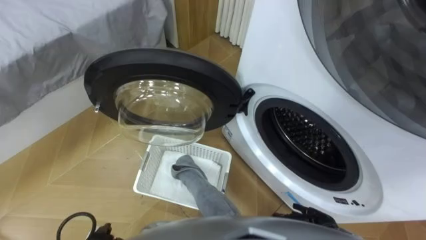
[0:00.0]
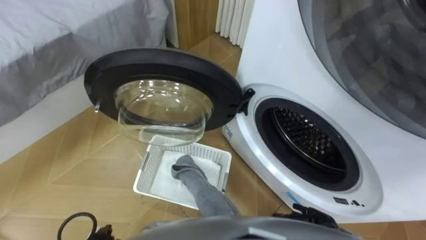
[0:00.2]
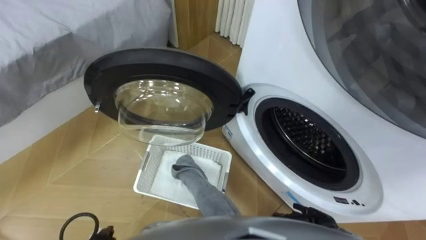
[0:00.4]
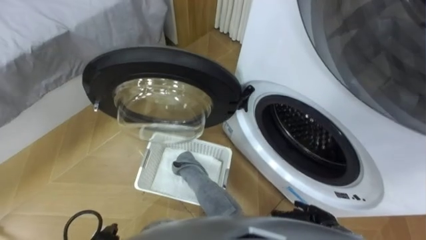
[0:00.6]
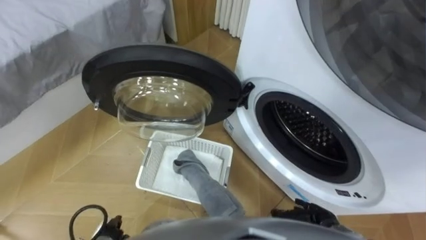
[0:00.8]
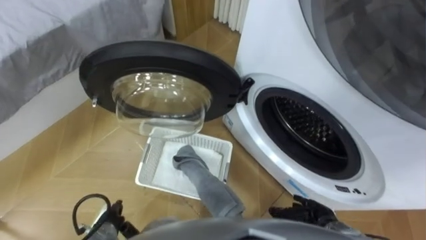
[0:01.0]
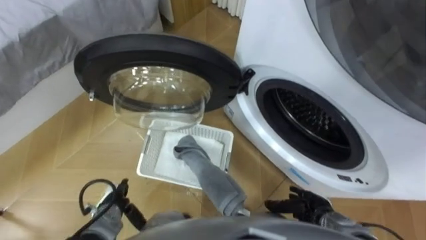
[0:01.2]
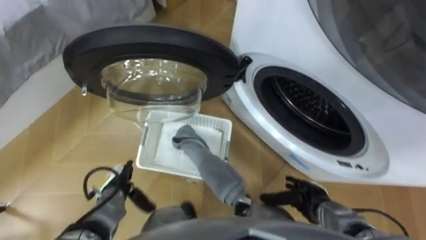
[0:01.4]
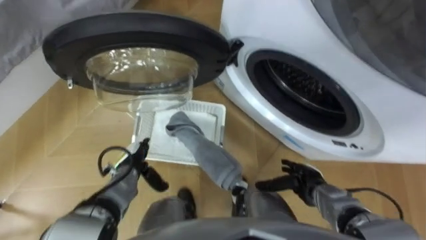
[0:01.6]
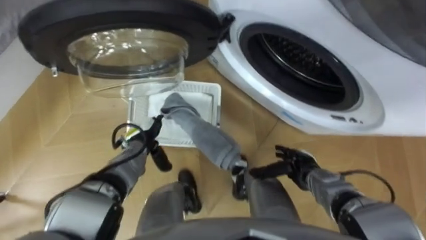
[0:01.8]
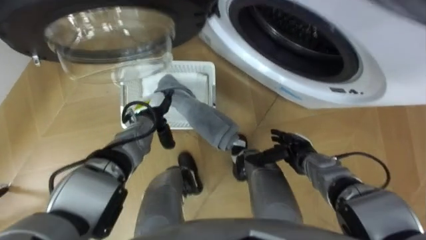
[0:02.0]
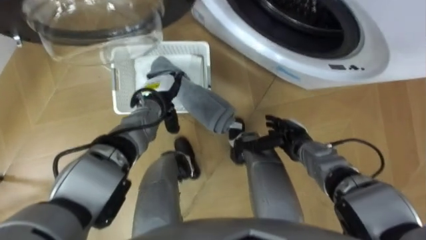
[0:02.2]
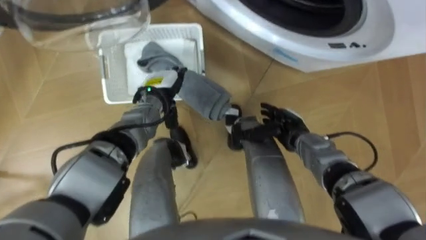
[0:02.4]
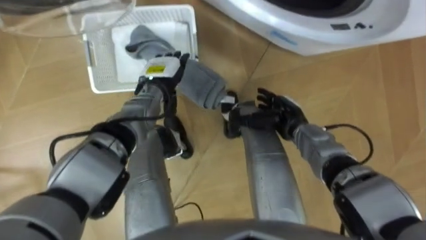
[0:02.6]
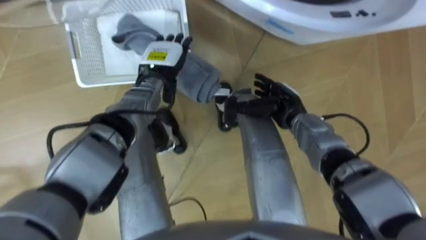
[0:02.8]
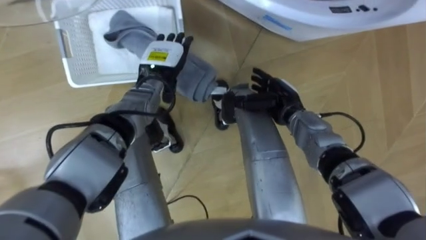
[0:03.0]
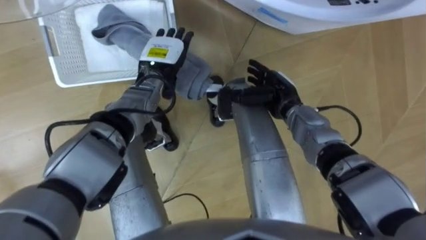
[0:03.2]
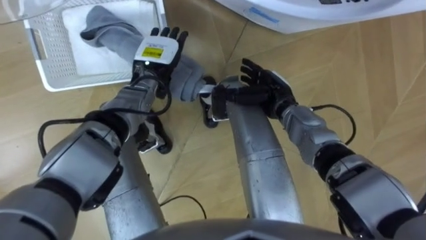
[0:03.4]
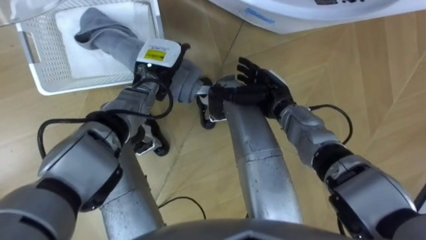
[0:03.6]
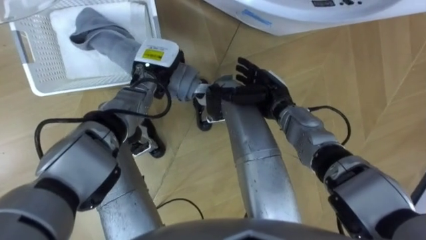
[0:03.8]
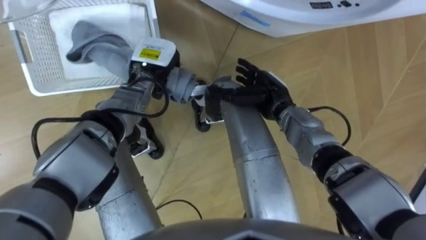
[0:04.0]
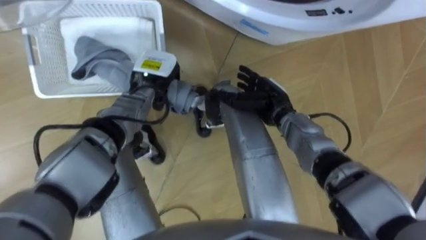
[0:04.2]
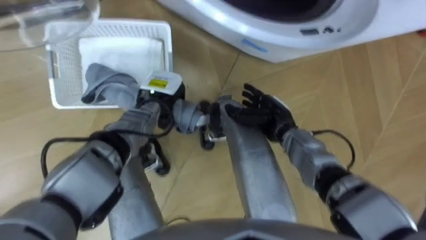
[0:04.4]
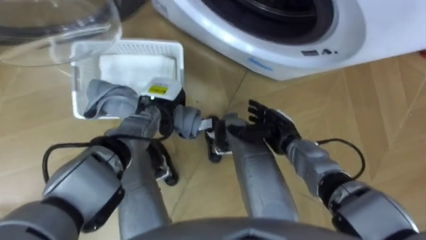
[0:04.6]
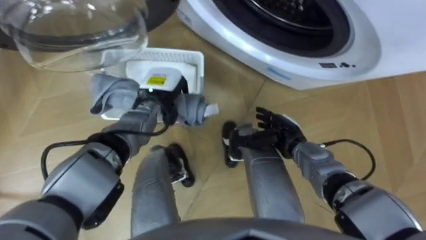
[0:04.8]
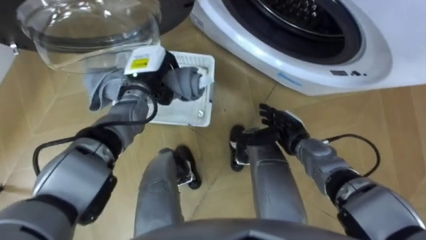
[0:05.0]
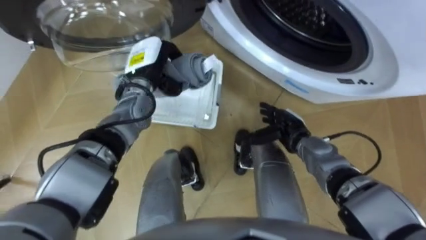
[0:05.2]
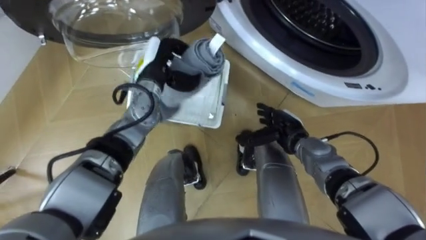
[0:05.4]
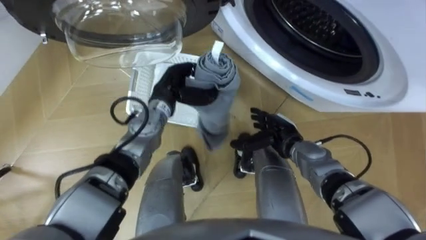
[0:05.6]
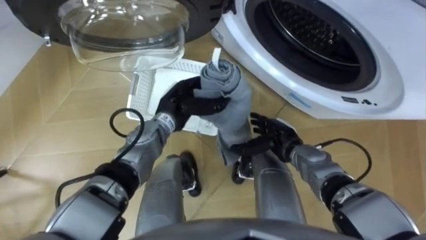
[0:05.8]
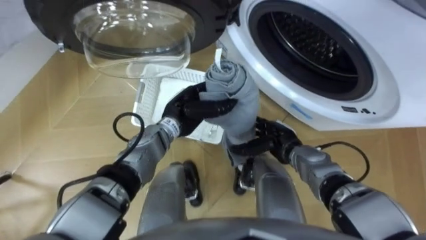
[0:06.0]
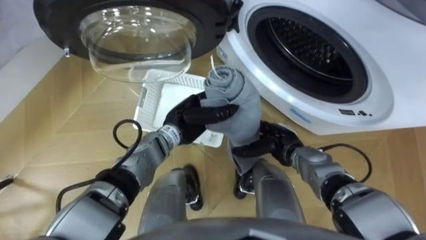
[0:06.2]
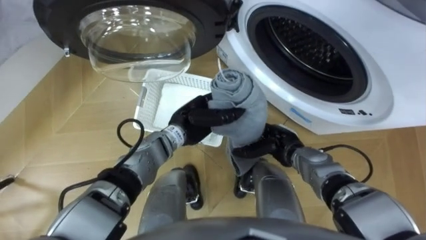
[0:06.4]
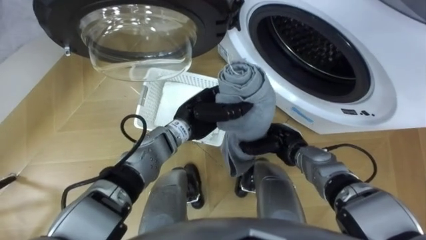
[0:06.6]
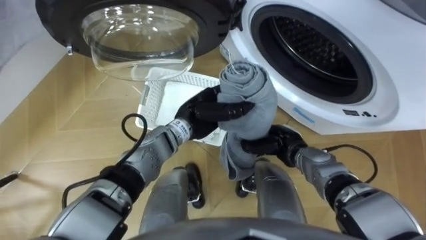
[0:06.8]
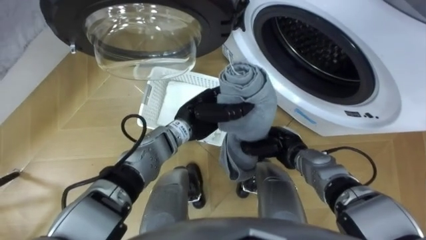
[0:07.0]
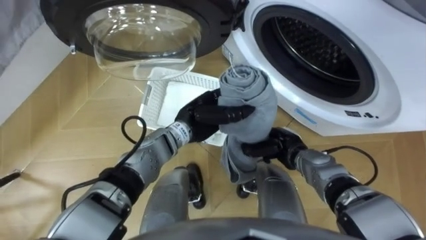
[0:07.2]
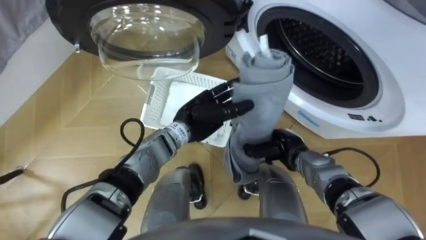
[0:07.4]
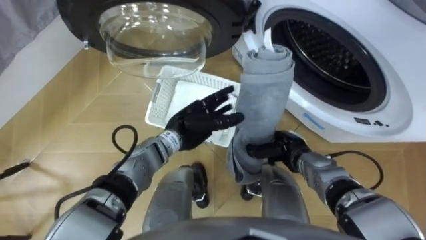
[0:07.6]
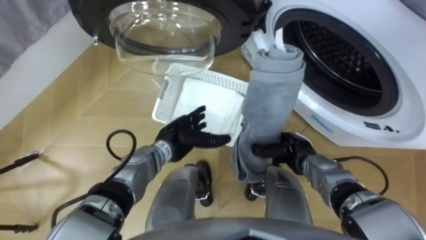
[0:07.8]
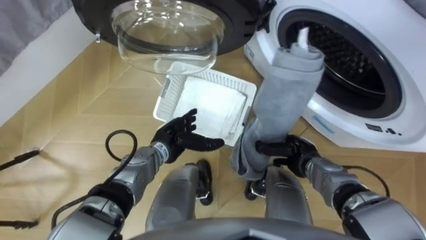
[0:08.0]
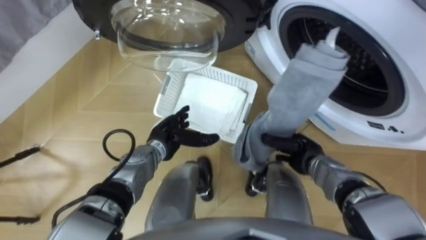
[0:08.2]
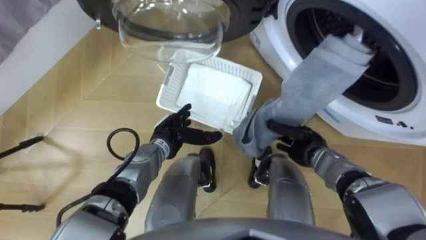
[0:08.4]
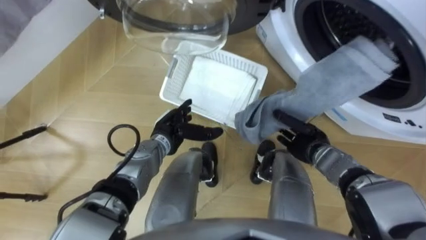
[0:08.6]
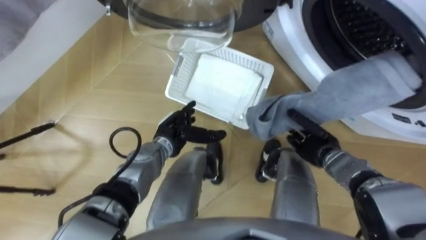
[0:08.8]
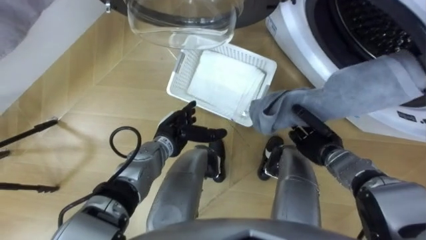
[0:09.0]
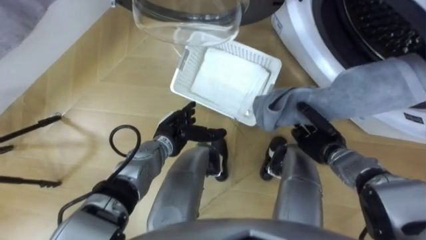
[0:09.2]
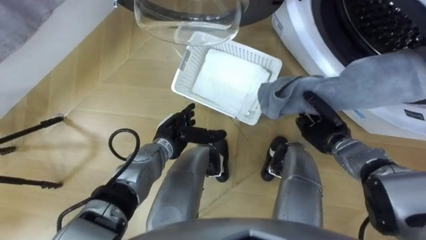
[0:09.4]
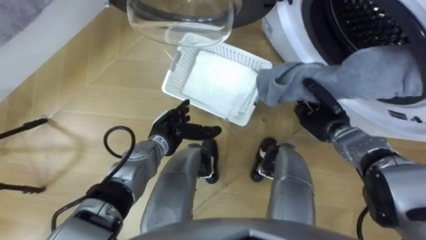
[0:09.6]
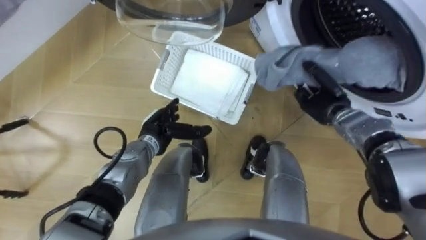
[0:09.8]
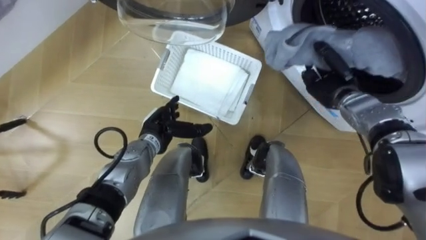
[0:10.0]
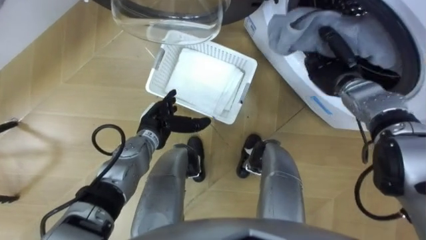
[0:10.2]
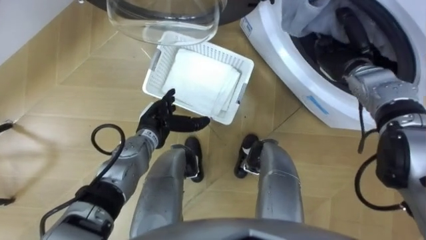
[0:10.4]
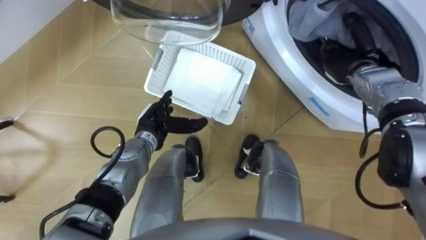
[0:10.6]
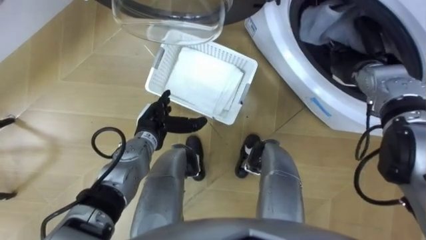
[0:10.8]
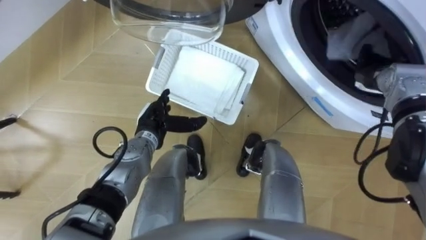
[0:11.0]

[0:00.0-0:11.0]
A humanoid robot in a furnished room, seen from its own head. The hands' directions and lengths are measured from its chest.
Task of the whole recording: Take the towel from the basket and put it into the washing machine.
0:01.6 to 0:03.2: The right hand is displaced forward, upward and to the left by approximately 25 cm. The left hand is displaced forward, upward and to the right by some 25 cm.
0:03.2 to 0:04.8: The right hand is displaced backward and downward by approximately 10 cm. The left hand travels downward by some 5 cm, and closes.
0:04.8 to 0:06.2: The left hand heads to the right and backward, covering about 10 cm.
0:06.2 to 0:07.8: The left hand moves about 5 cm, and opens up, while the right hand closes up.
0:07.8 to 0:09.4: The right hand goes roughly 5 cm to the right.
0:09.4 to 0:11.0: The right hand moves upward, forward and to the right, approximately 15 cm, while the left hand changes place by about 5 cm.

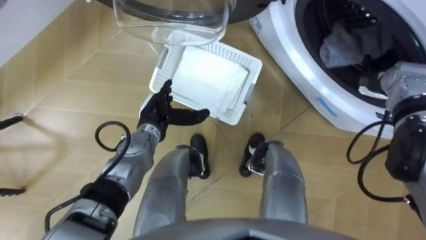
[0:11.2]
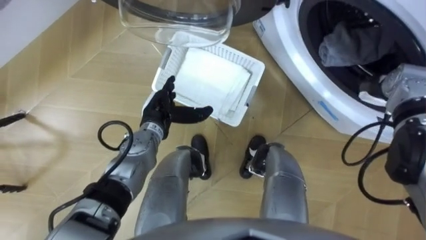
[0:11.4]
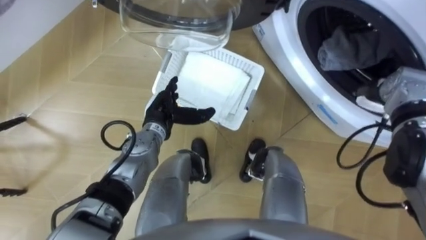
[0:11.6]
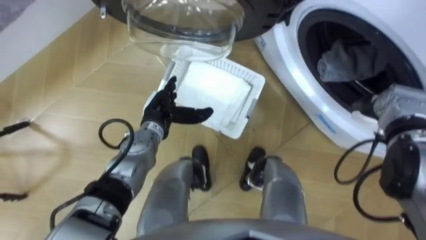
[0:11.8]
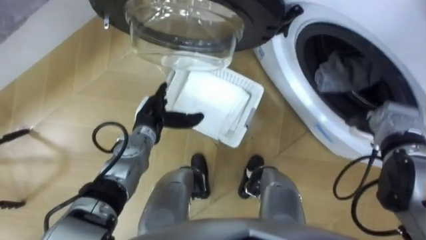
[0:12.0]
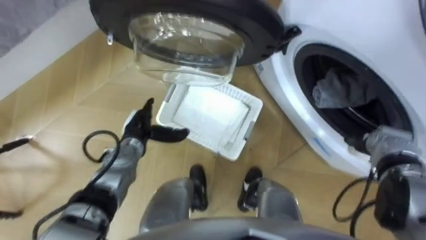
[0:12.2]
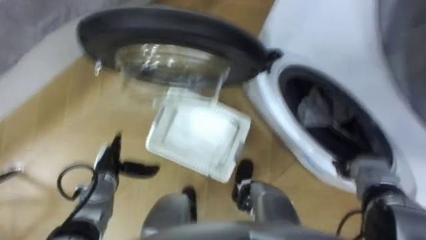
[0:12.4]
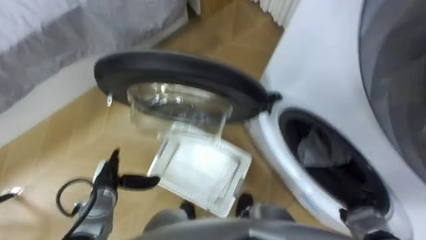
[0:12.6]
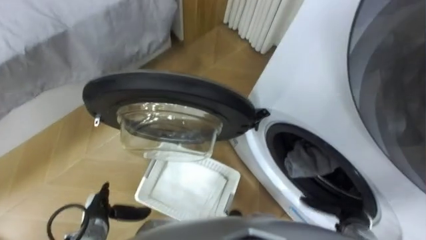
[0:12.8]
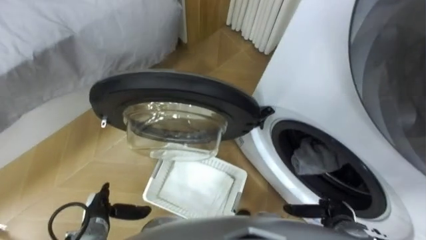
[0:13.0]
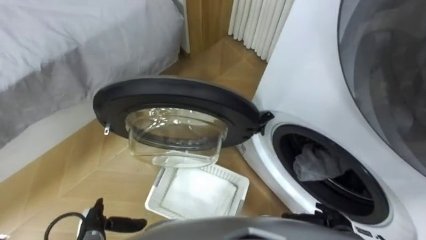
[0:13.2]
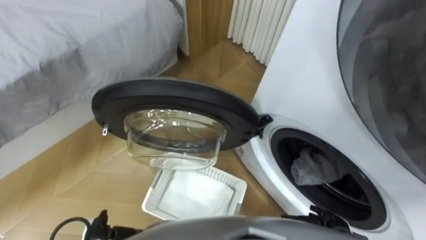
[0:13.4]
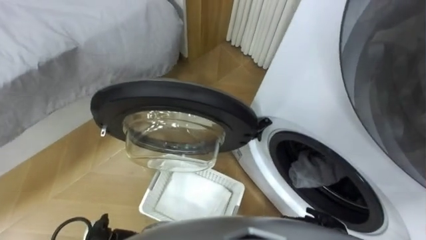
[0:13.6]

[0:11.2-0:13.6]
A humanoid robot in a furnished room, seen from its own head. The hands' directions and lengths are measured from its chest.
Task of the whole recording: Take the towel from the basket and put it into the washing machine.
0:11.2 to 0:12.4: The left hand goes approximately 15 cm to the left, backward and downward, while the right hand goes roughly 20 cm backward and downward.
0:12.4 to 0:13.6: The right hand goes approximately 15 cm backward, to the left and downward.

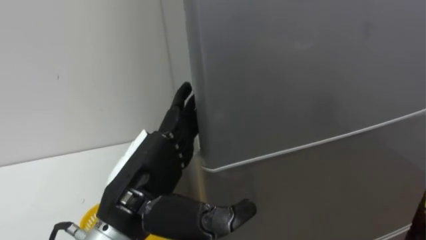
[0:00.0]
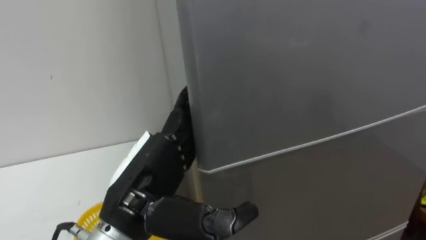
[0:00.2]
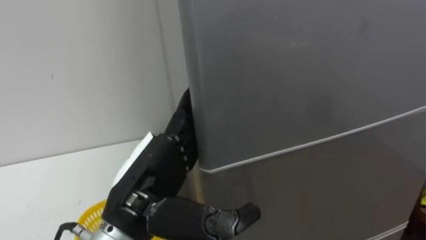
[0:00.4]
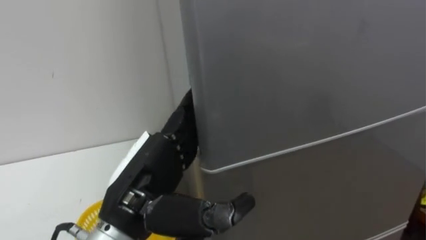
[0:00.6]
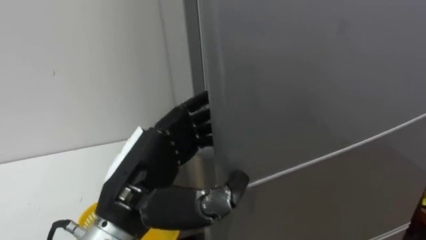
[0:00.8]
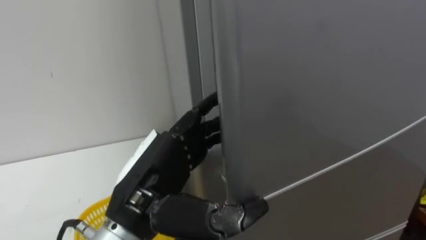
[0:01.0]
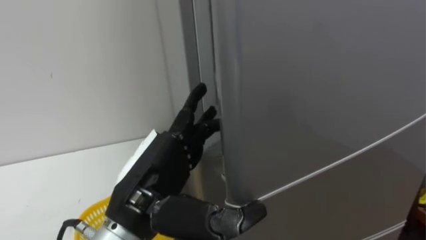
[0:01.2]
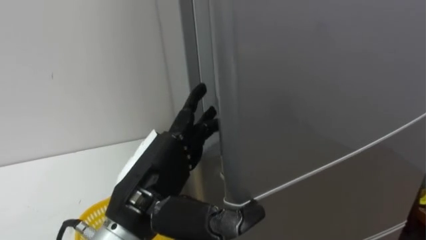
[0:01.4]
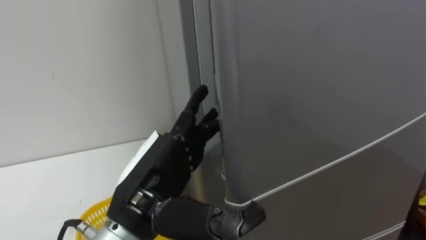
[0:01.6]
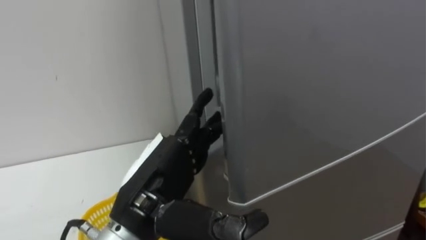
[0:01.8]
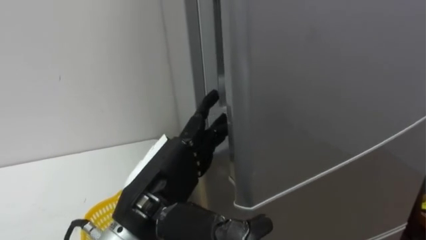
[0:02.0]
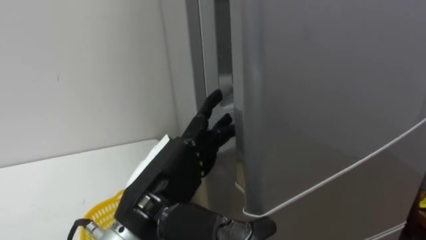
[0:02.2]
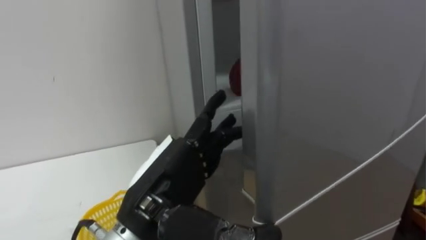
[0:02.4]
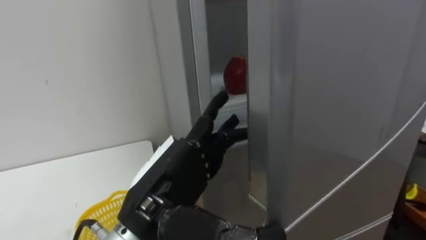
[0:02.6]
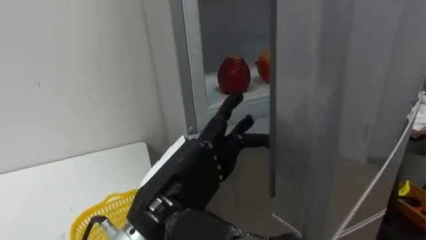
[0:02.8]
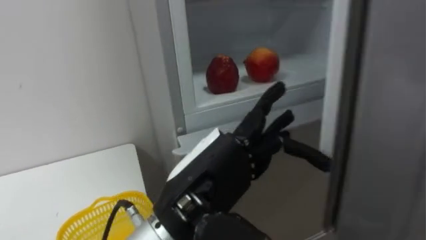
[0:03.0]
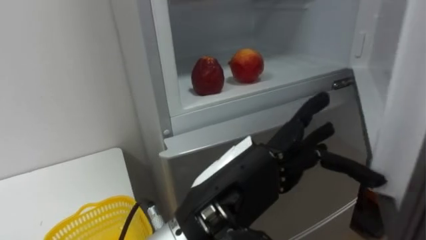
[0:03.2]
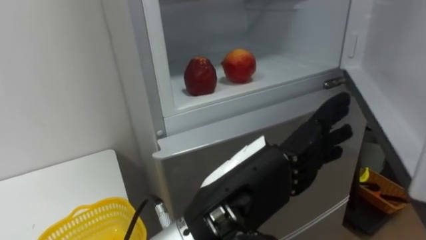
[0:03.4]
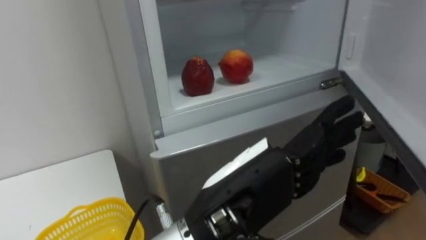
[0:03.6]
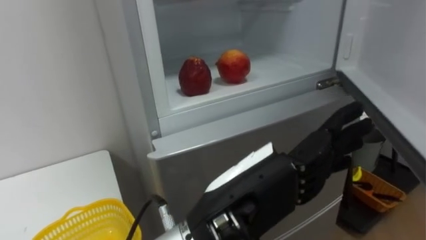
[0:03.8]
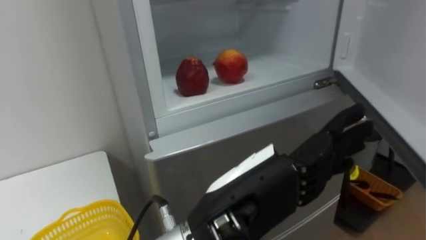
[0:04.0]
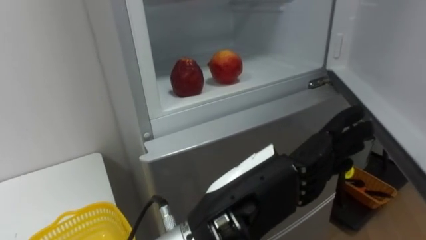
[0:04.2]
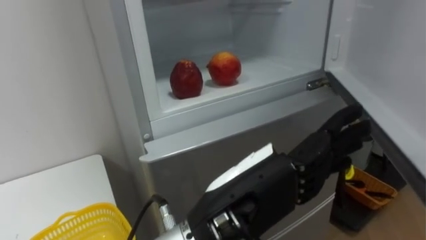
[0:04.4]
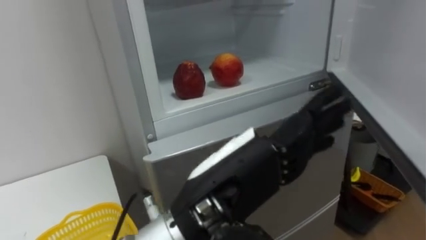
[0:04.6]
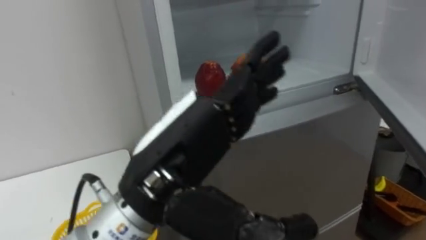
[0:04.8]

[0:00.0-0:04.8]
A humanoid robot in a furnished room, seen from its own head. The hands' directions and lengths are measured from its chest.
Task of the whole recording: Open the refrigerator door, take out the apple and the pomegranate, place them in the fruit basket on the left, and close the refrigerator door.
0:01.6 to 0:03.2: The left hand travels to the right by approximately 10 cm.
0:03.2 to 0:04.8: The left hand ends up some 5 cm from where it was.
